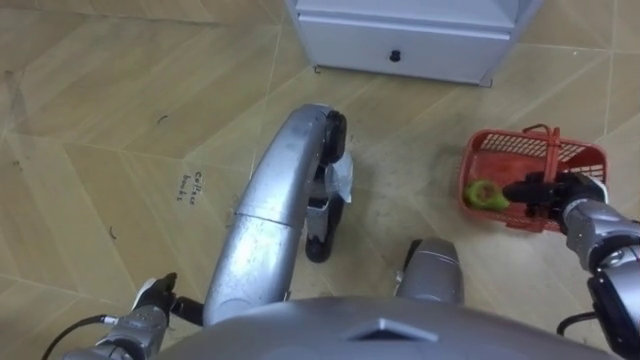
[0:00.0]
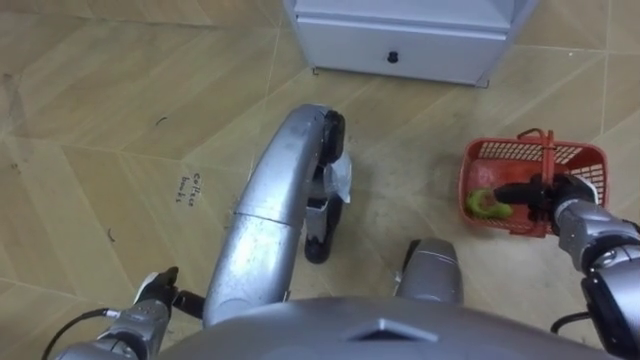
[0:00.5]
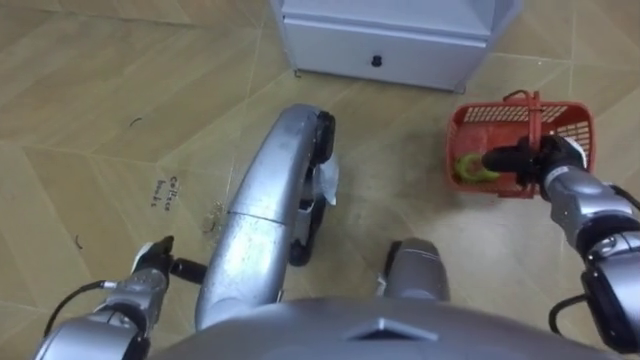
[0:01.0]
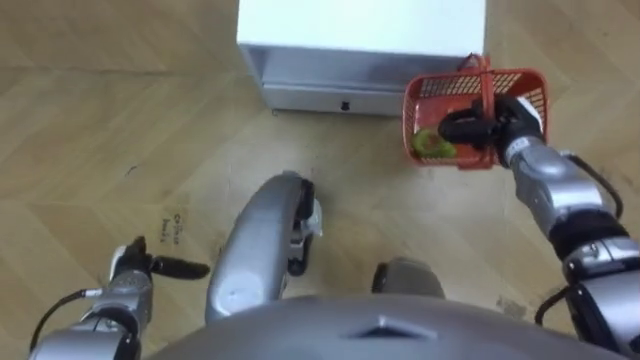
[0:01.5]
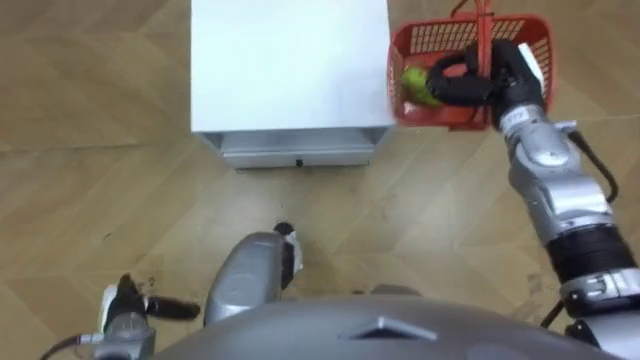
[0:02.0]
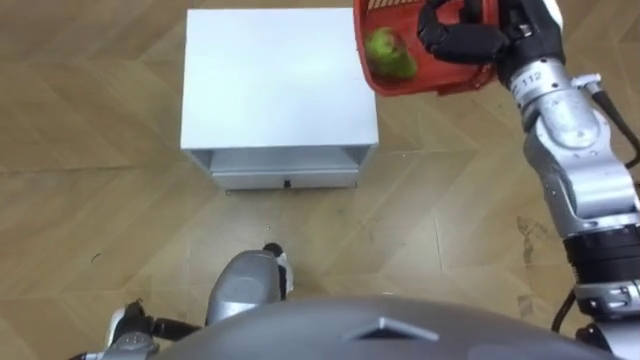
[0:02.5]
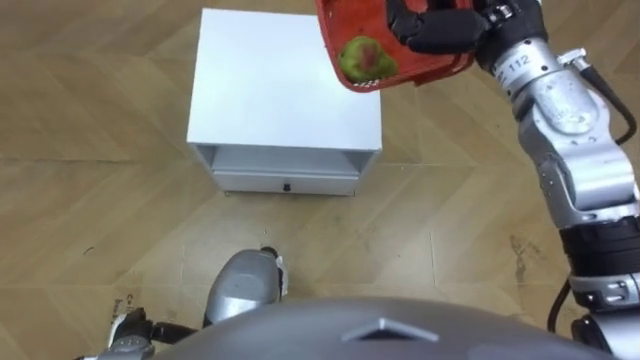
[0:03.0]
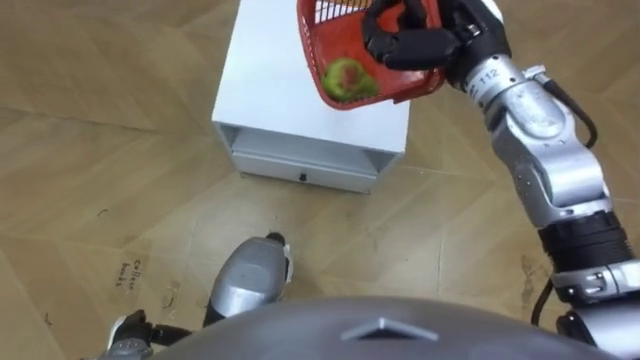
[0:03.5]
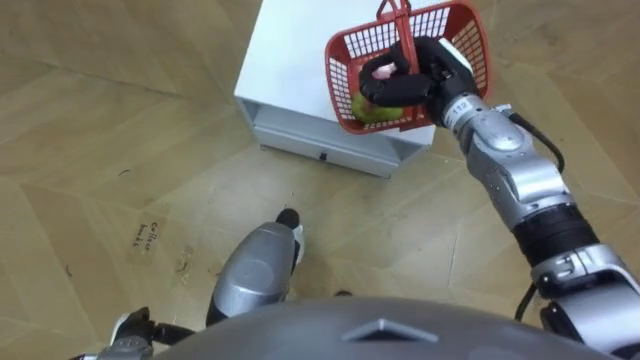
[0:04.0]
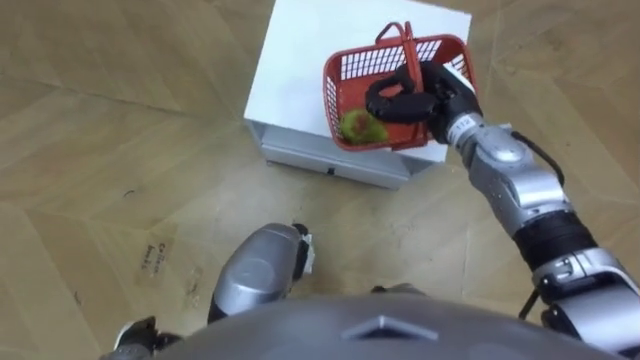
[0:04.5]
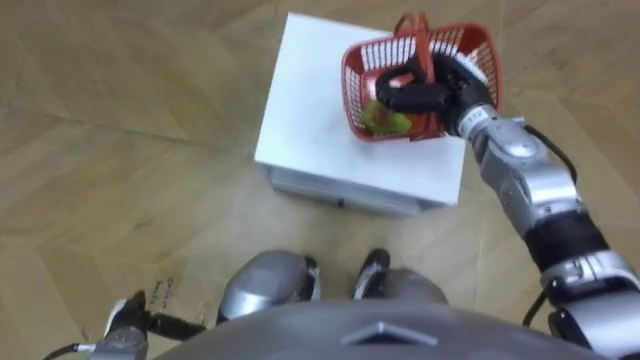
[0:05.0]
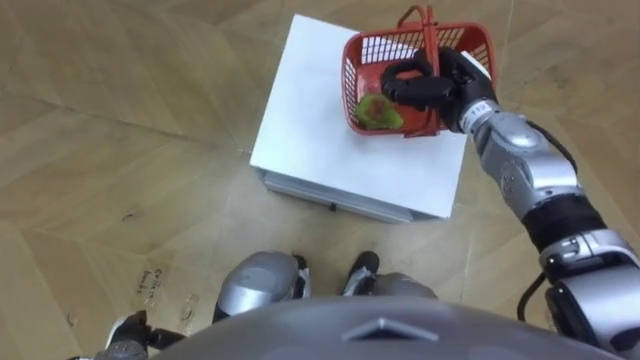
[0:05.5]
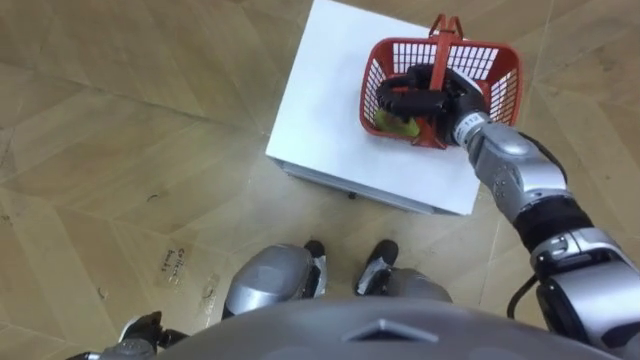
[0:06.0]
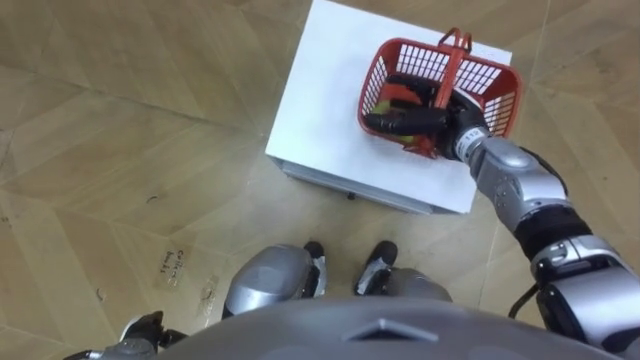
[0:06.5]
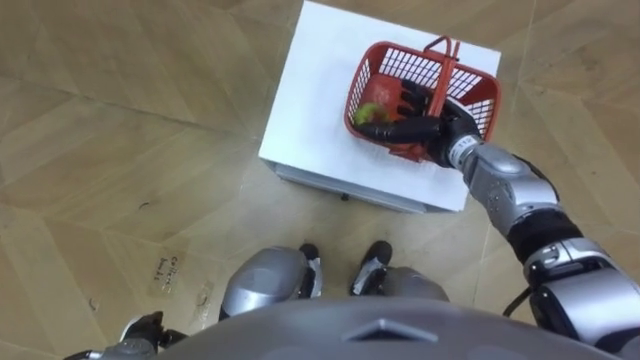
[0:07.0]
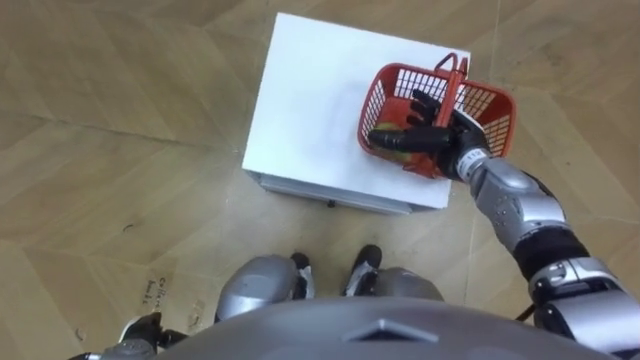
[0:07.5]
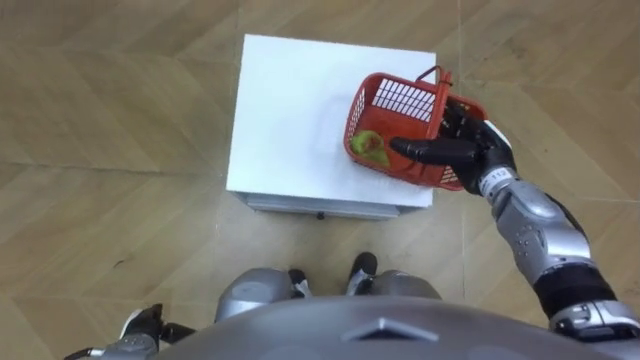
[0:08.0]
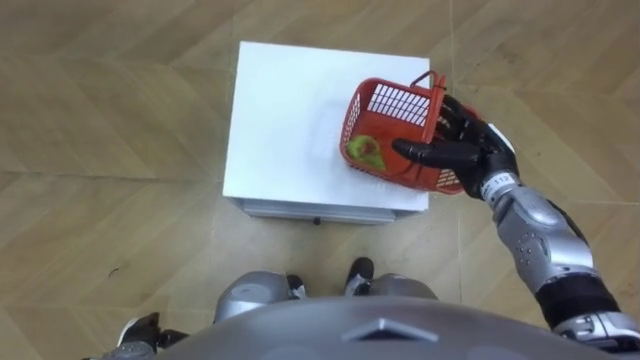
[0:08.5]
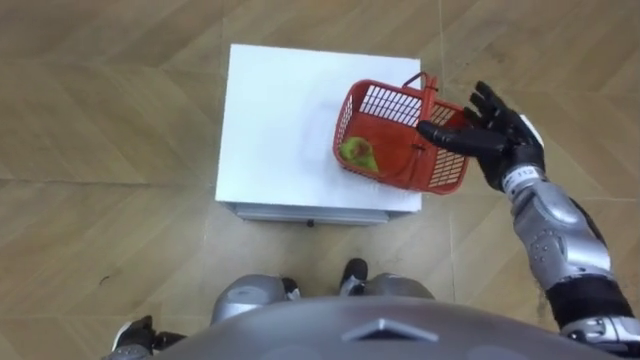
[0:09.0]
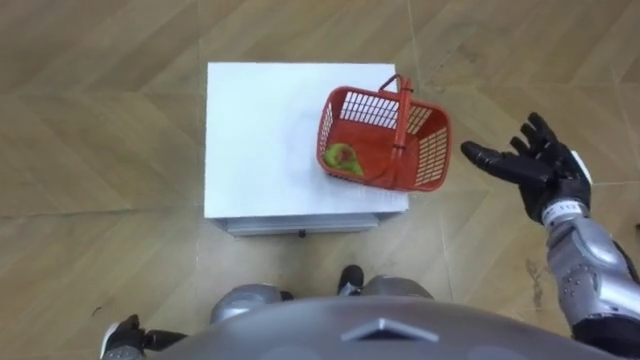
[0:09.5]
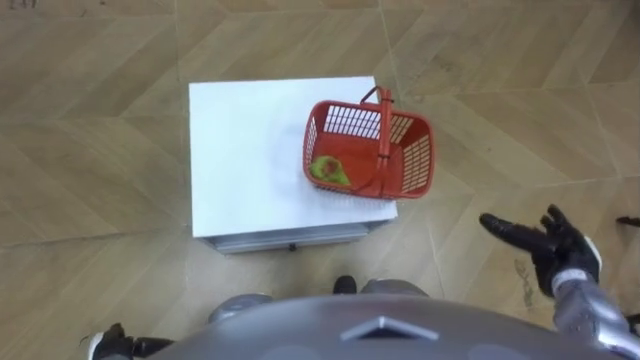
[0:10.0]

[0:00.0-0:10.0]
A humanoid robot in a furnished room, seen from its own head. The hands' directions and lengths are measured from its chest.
Task of the whole recording: Pick up the fruit basket from the floor and place it on the cabinet.
0:00.0 to 0:02.0: The right hand moves upward, to the left and forward, approximately 20 cm.
0:02.0 to 0:04.0: The right hand is displaced to the left by approximately 10 cm, and reaches approximately 10 cm upward, then returns, while the left hand moves roughly 5 cm.
0:04.0 to 0:06.0: The right hand shifts by about 5 cm.
0:06.0 to 0:08.0: The right hand is displaced backward by roughly 5 cm, and opens its fingers.
0:08.0 to 0:10.0: The right hand moves backward and to the right, about 20 cm.

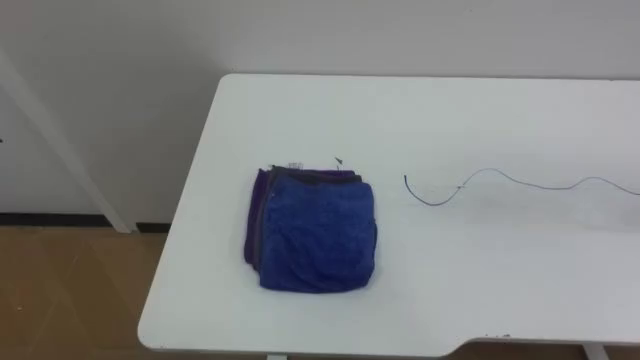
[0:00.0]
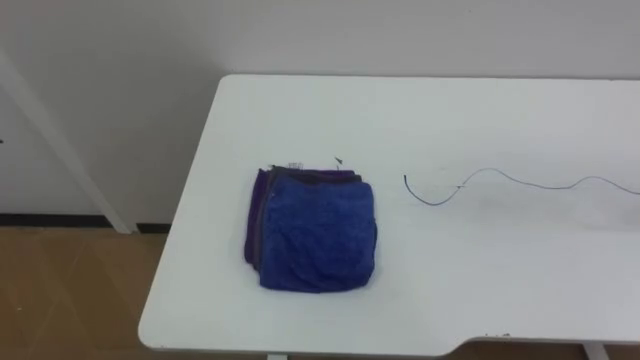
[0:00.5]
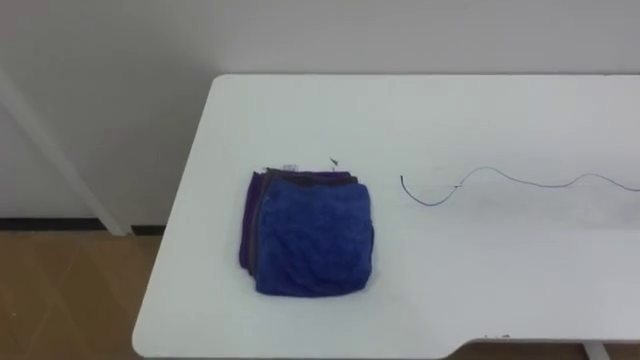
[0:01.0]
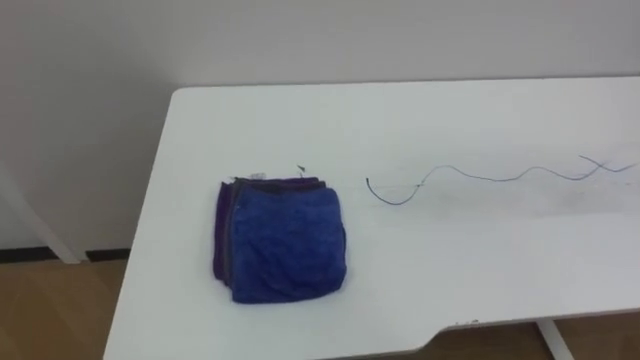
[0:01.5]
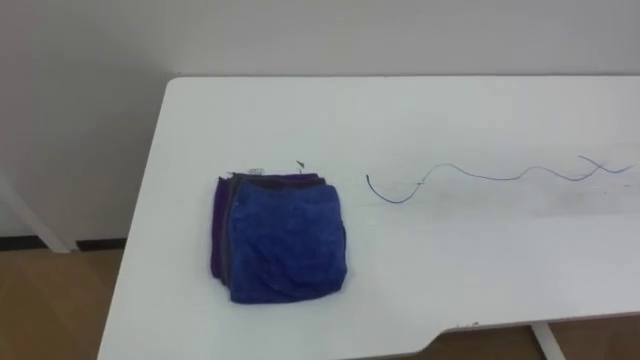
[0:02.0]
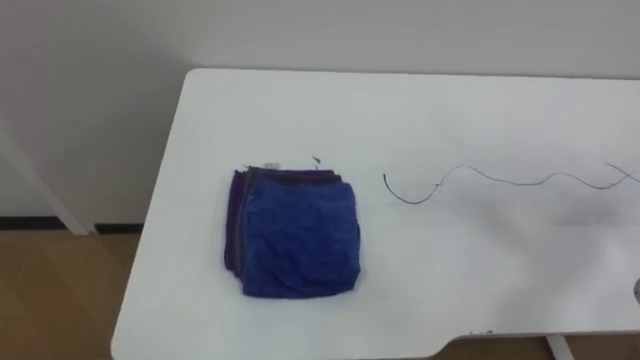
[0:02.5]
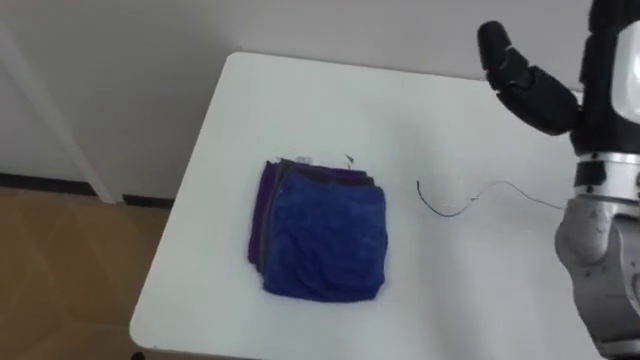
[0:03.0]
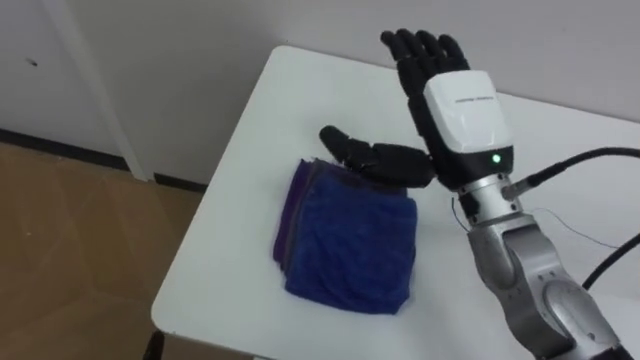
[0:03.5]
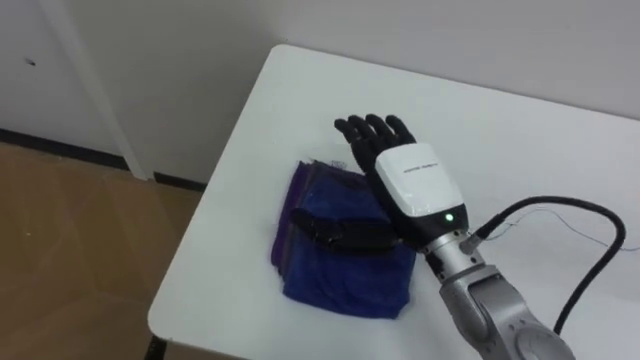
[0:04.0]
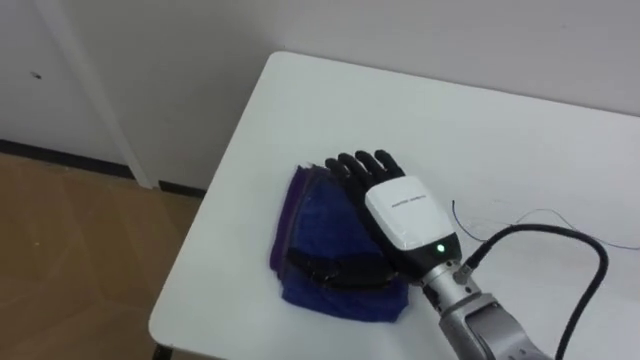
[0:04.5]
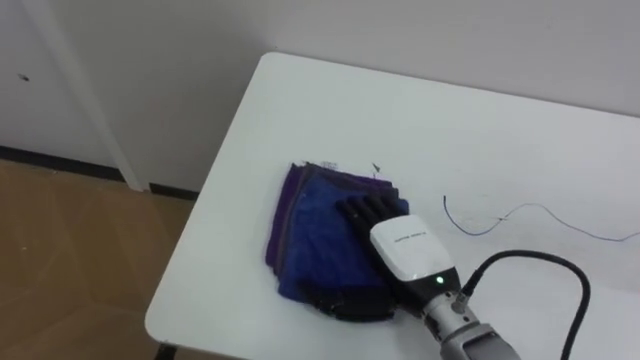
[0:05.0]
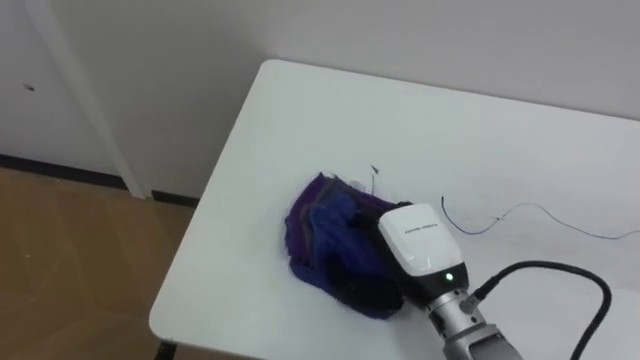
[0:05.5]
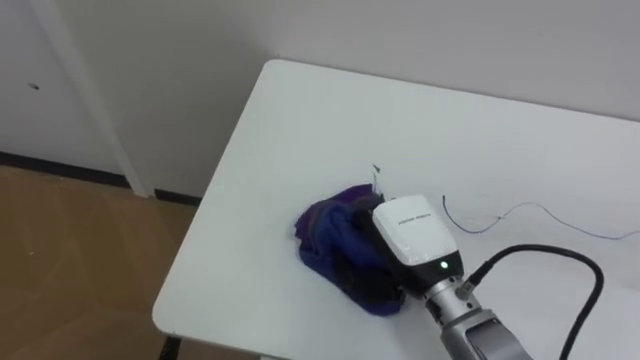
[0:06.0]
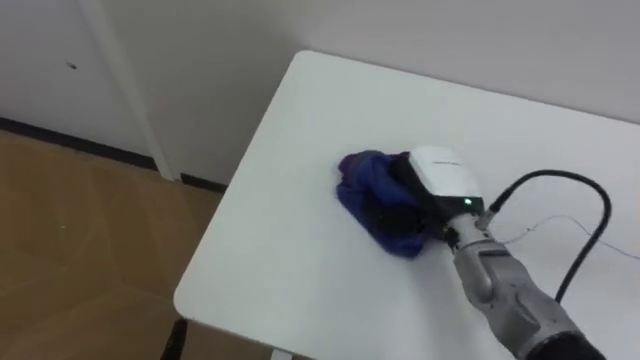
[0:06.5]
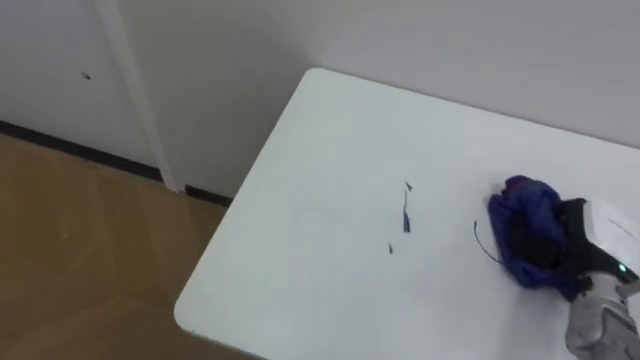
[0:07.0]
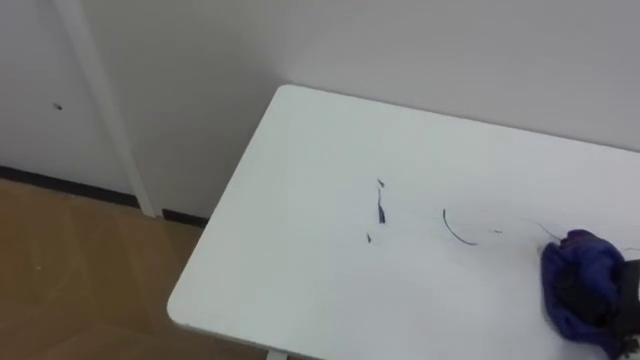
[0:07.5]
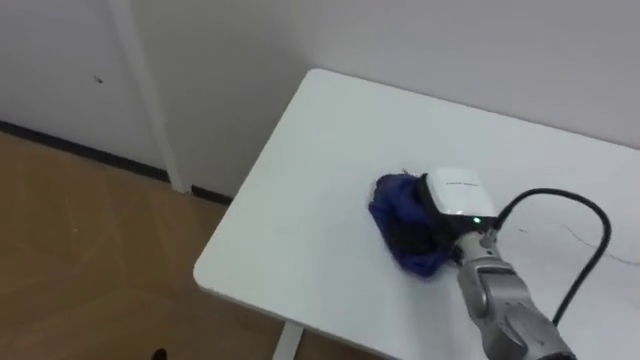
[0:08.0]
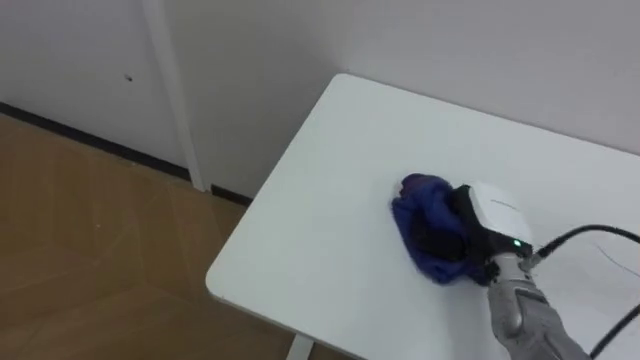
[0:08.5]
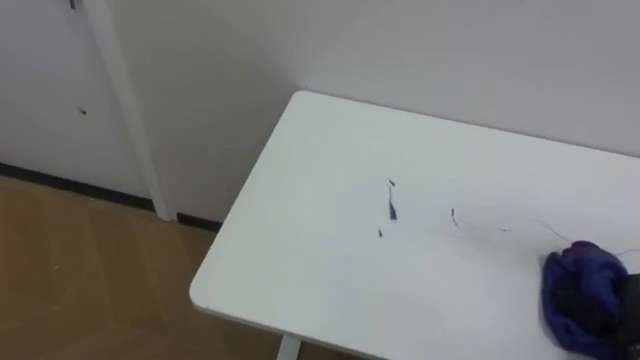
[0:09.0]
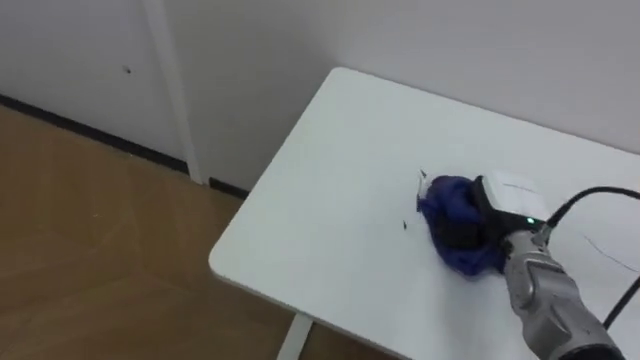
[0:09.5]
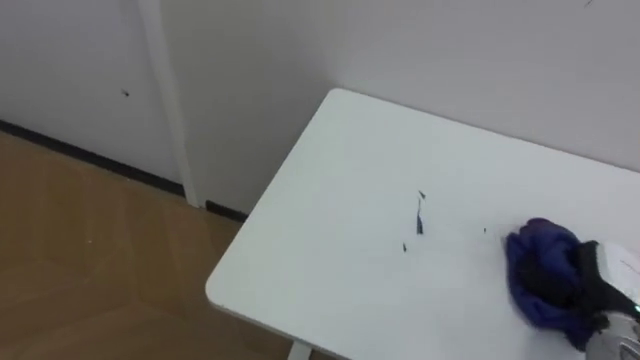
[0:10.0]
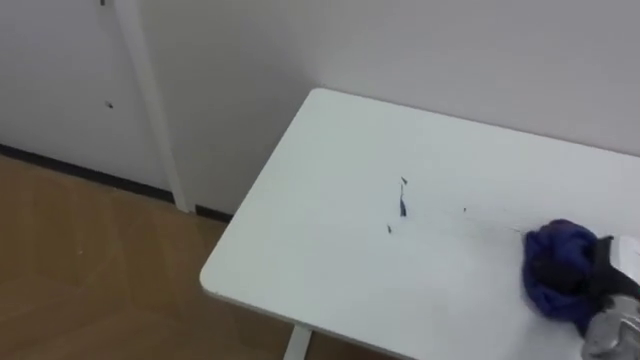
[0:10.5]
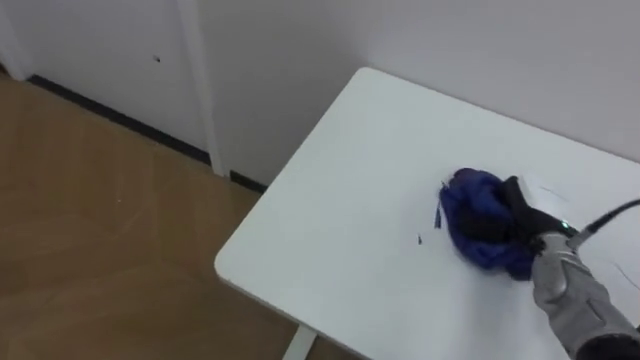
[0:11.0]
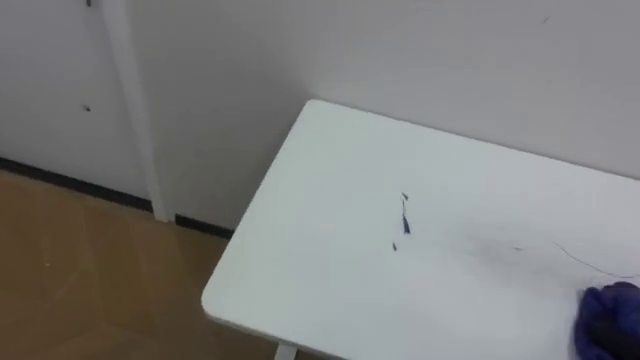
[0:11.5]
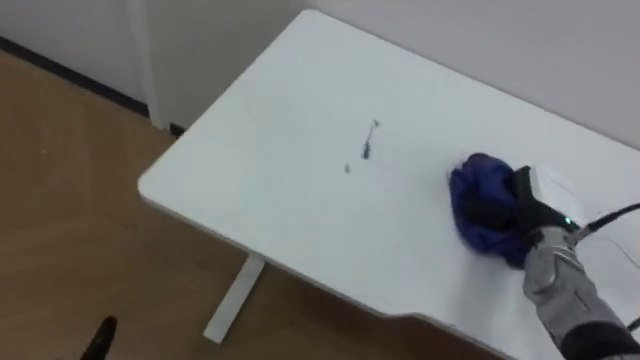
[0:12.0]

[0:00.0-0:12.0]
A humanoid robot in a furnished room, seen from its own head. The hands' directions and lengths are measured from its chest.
Task of the whole recording: Wipe the blue pen marks off the table with the rag.
0:04.0 to 0:06.0: The right hand is displaced downward by some 5 cm, and closes up.
0:06.0 to 0:08.0: The right hand heads forward, covering some 5 cm, and moves roughly 30 cm to the right and comes back.
0:08.0 to 0:10.0: The right hand swings left and right, roughly 20 cm each way, with 2 reversals.
